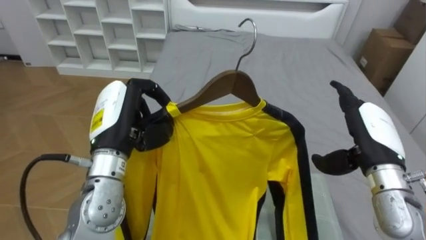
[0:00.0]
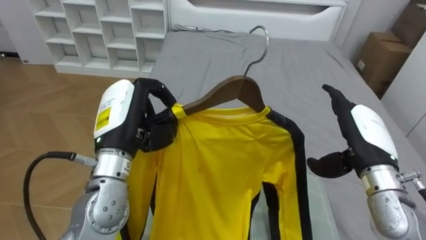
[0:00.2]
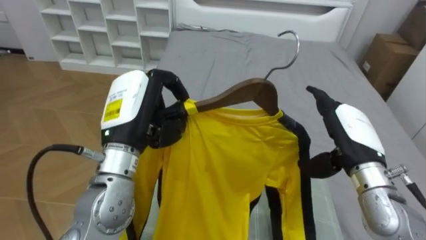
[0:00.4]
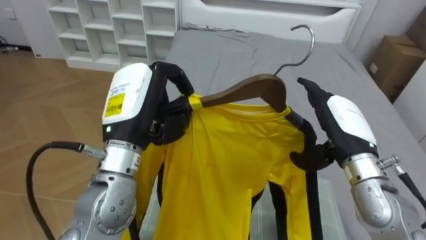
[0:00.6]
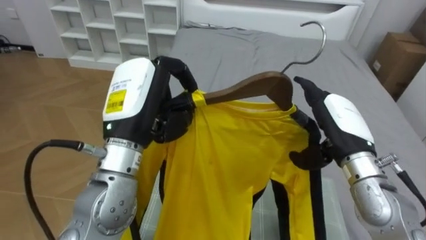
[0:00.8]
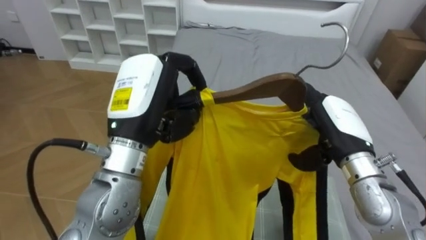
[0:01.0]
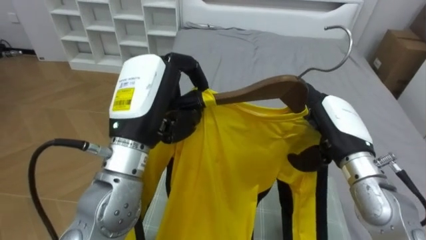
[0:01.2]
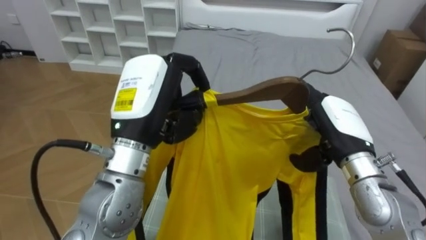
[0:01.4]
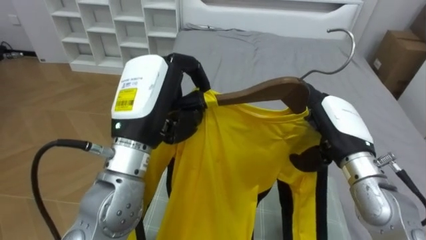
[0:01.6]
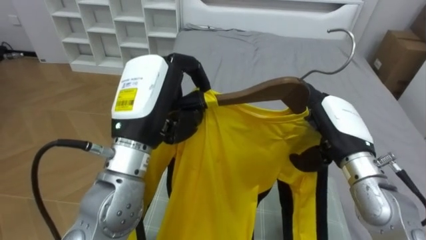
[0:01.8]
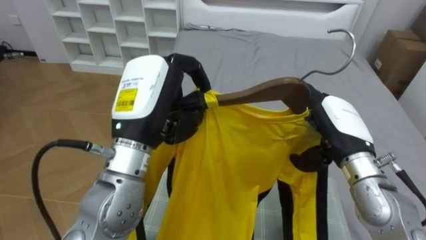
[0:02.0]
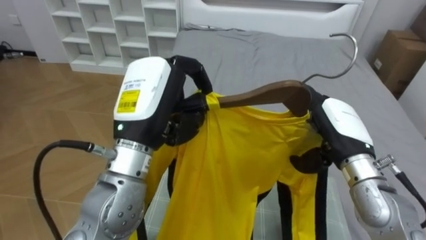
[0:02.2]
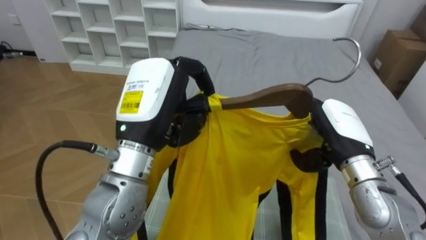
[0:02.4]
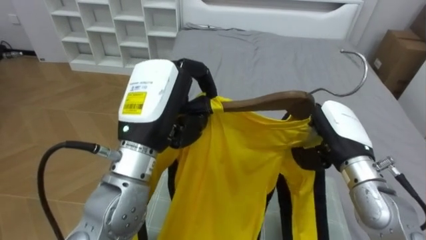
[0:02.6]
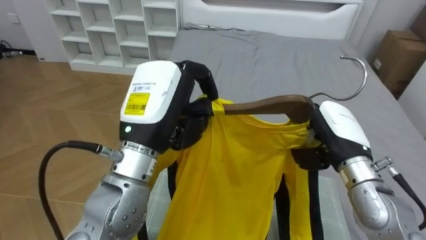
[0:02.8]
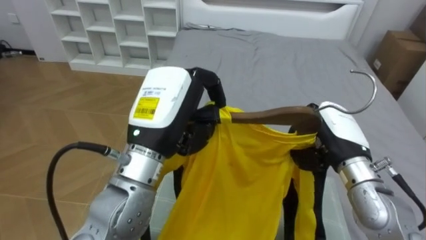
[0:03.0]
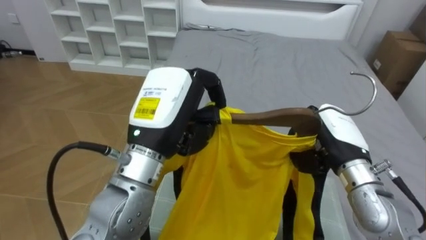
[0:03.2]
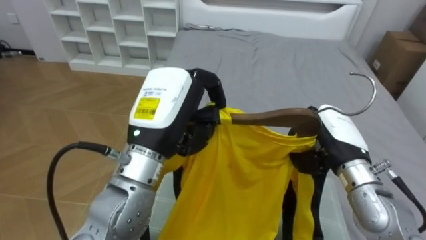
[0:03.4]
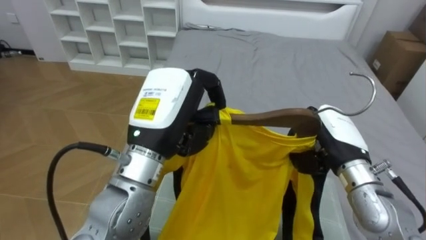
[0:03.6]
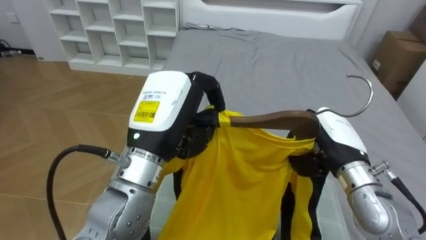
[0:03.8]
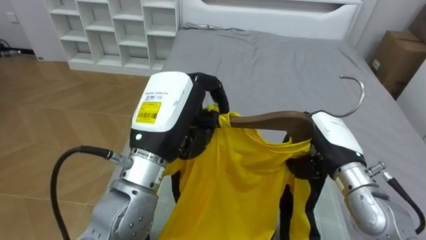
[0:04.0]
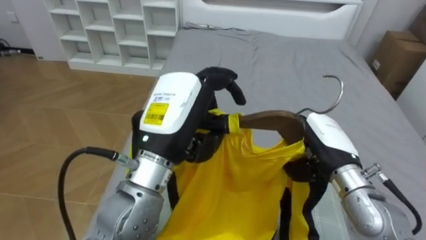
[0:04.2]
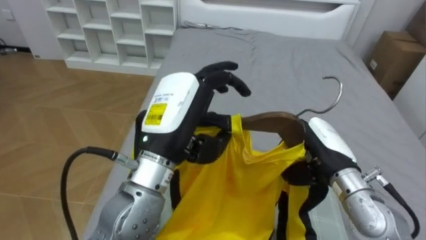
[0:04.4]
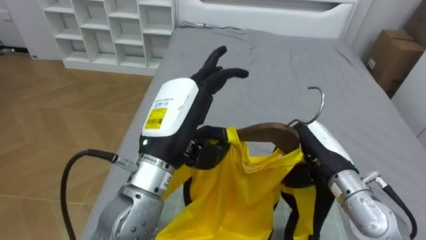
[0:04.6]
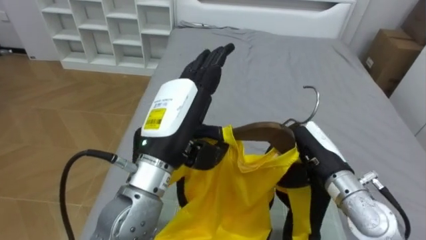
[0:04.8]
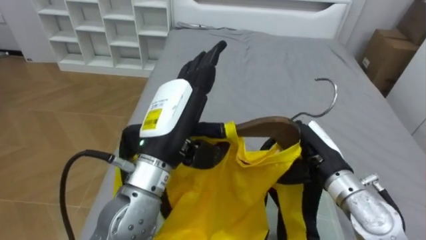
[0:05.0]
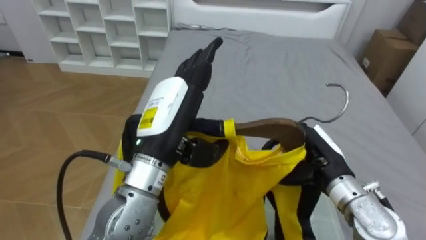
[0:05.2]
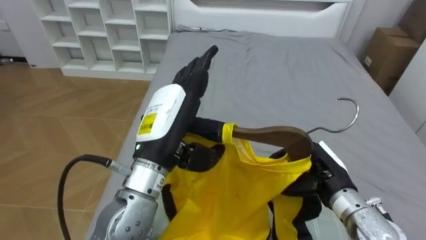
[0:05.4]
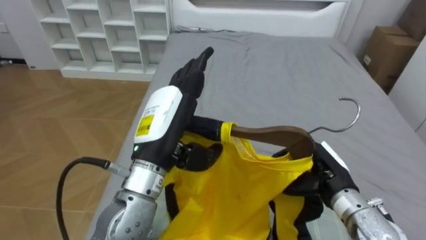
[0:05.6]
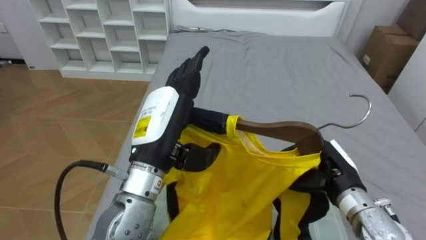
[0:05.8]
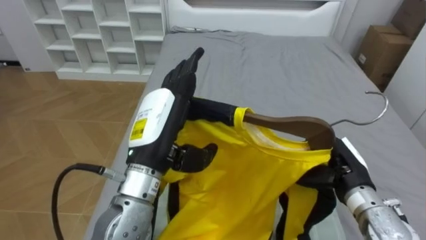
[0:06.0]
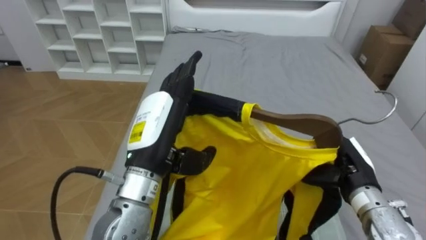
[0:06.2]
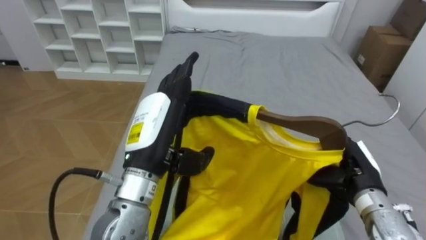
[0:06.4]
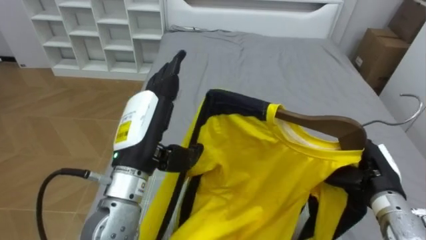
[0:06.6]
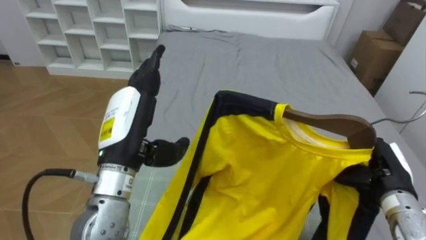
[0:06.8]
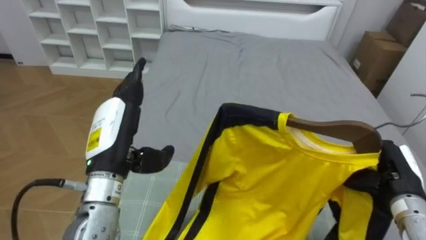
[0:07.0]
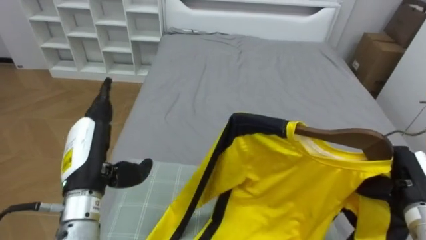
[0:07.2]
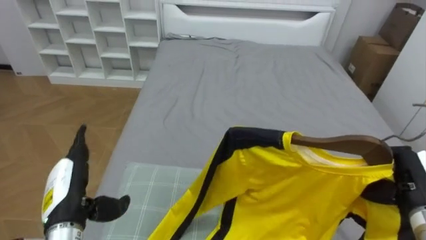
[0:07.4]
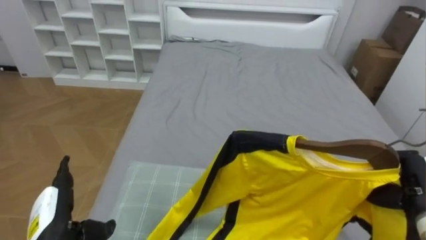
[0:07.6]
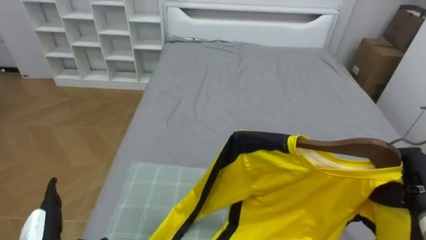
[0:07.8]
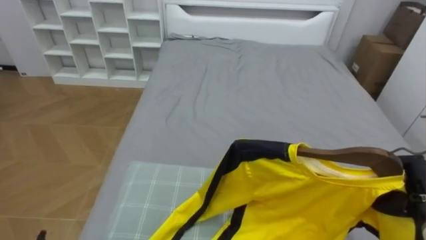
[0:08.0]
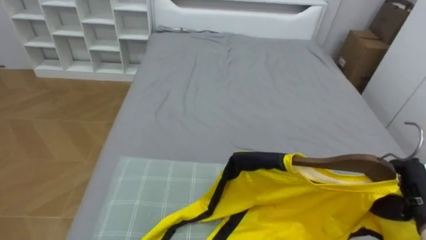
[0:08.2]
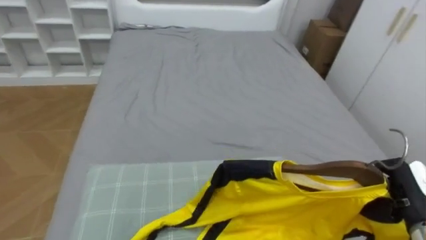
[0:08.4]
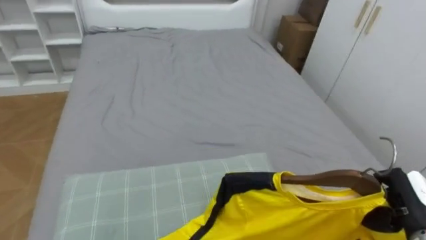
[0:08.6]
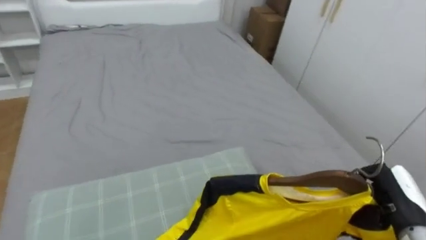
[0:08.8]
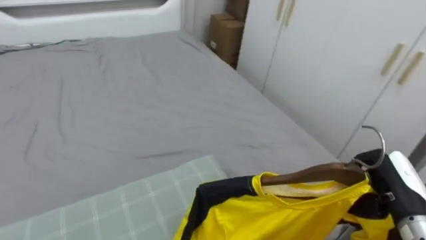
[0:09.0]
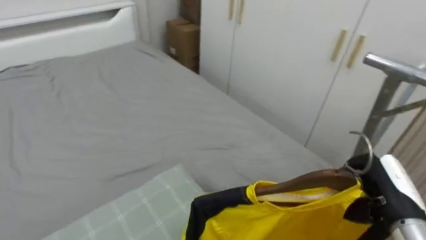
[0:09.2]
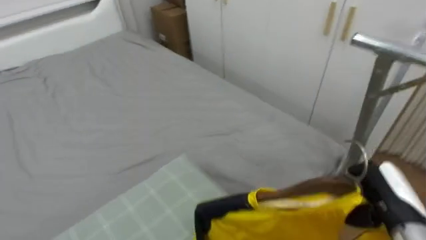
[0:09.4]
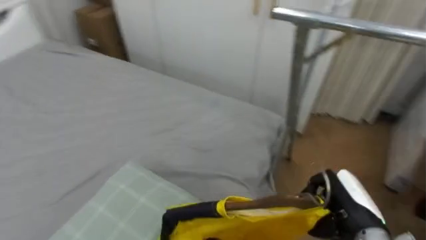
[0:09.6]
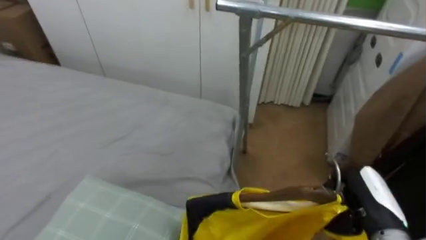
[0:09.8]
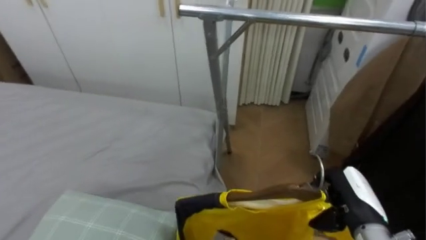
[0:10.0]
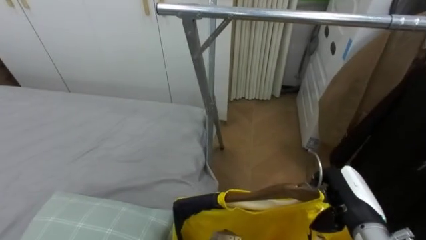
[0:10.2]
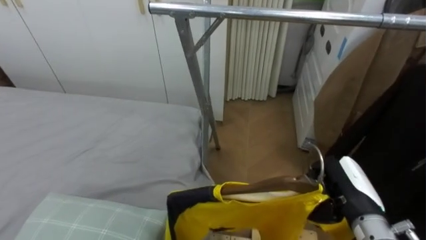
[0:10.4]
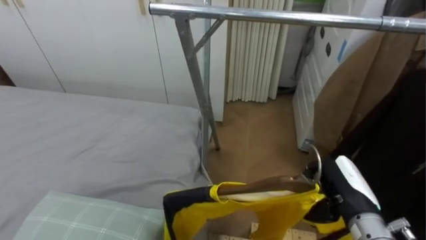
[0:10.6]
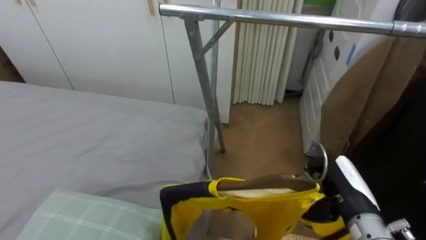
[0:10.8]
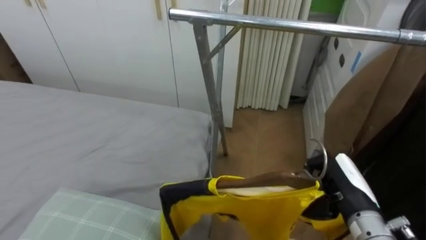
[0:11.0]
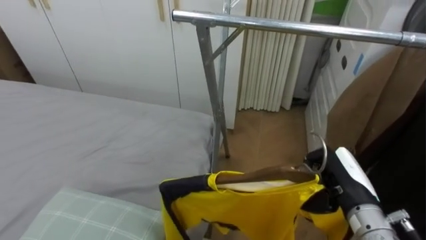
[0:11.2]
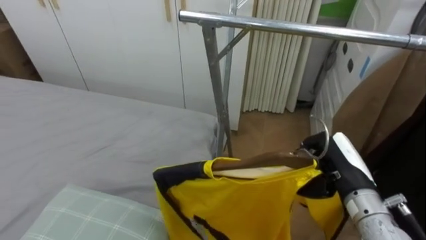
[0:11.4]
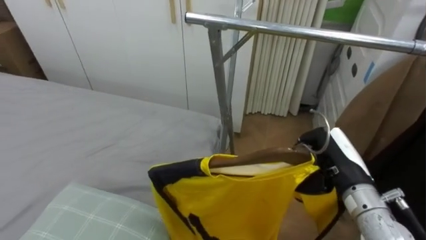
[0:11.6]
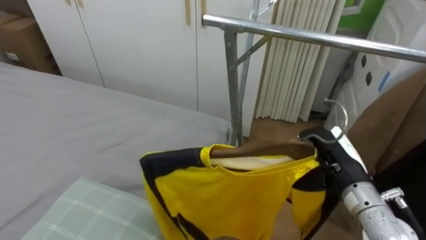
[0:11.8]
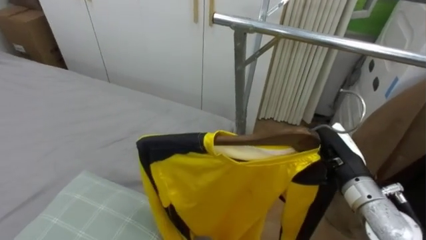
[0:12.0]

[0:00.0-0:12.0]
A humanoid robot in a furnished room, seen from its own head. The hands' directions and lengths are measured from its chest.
Task of the whole recording: Pick up the yellow shirt on the bed and hang it on the clothes rack on the right.
0:00.0 to 0:01.6: The right hand changes place by approximately 5 cm; the left hand moves upward and to the right, approximately 10 cm.
0:01.6 to 0:03.0: The right hand closes.
0:03.0 to 0:04.4: The left hand opens its fingers.
0:04.4 to 0:06.0: The left hand opens its fingers. Meanwhile the right hand moves about 5 cm.
0:06.0 to 0:07.6: The left hand is displaced to the left and downward by some 25 cm. The right hand is displaced to the right by roughly 10 cm.
0:07.6 to 0:09.0: The robot rotates roughly 35 degrees to its right.
0:09.0 to 0:10.4: The robot rotates roughly 55 degrees to its right. The right hand moves to the left, roughly 5 cm.
0:10.4 to 0:12.0: The right hand changes place by approximately 5 cm.

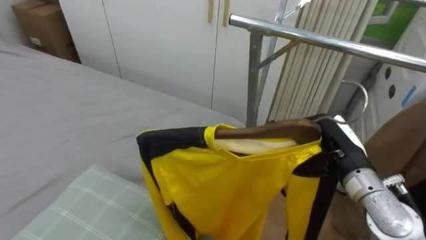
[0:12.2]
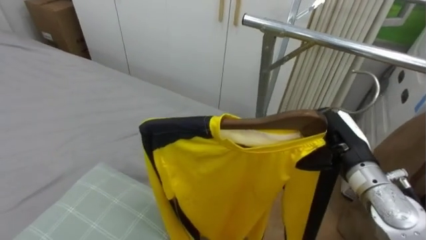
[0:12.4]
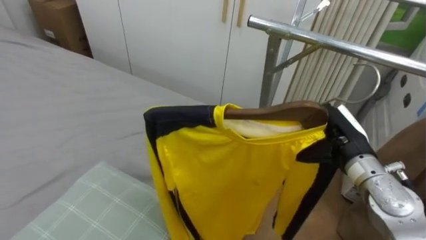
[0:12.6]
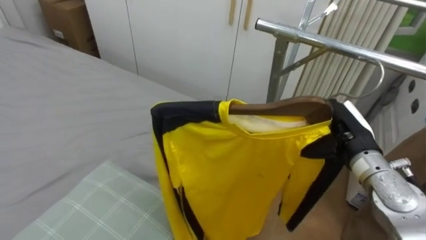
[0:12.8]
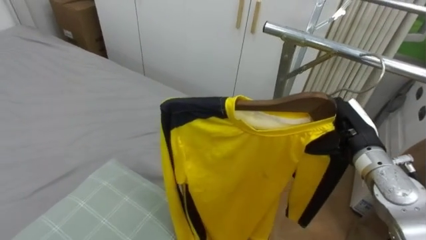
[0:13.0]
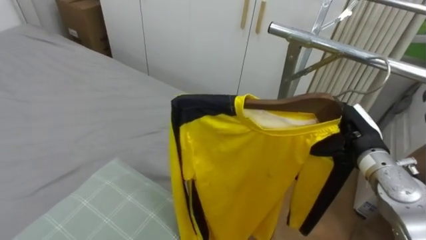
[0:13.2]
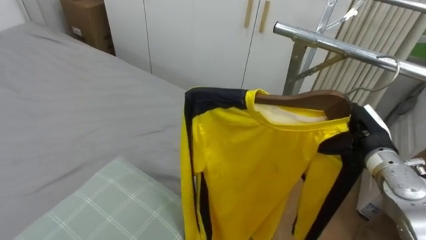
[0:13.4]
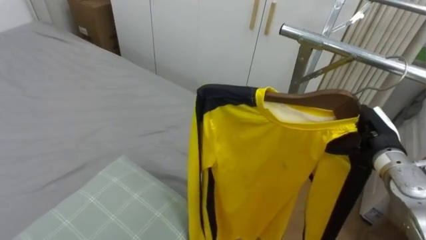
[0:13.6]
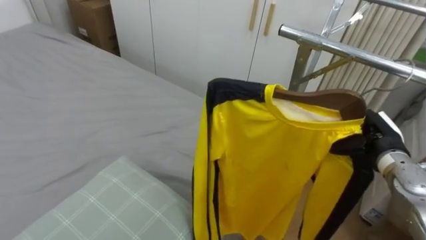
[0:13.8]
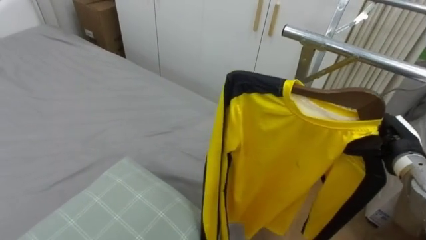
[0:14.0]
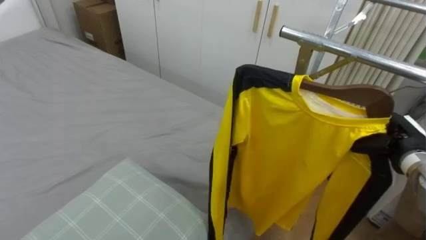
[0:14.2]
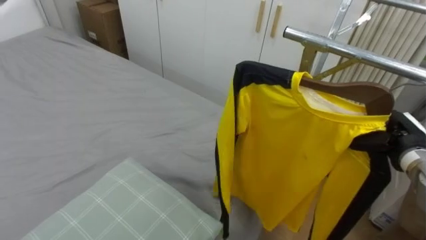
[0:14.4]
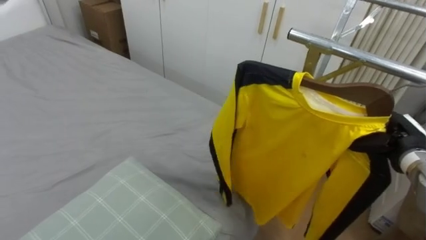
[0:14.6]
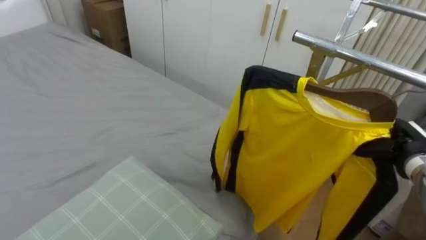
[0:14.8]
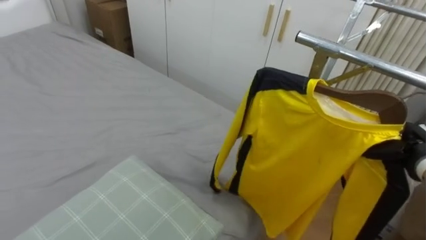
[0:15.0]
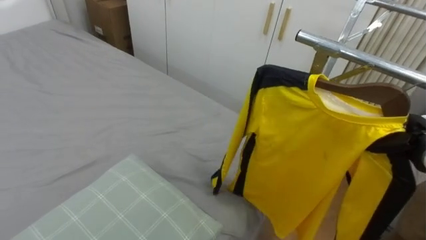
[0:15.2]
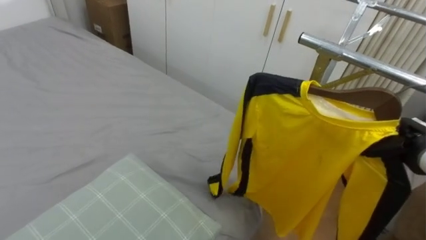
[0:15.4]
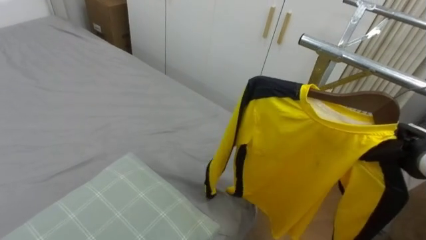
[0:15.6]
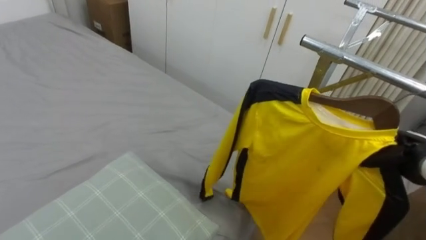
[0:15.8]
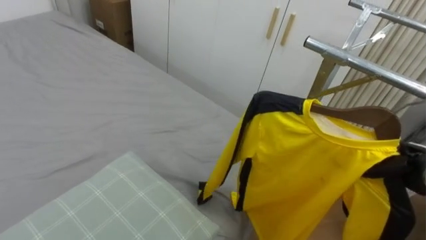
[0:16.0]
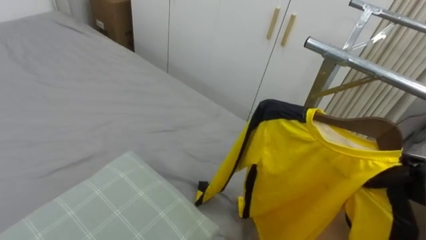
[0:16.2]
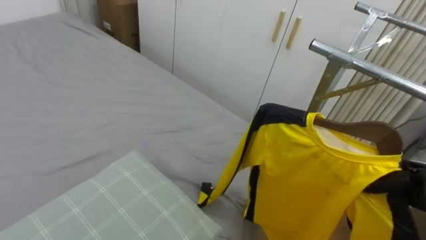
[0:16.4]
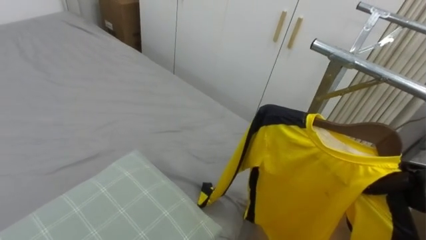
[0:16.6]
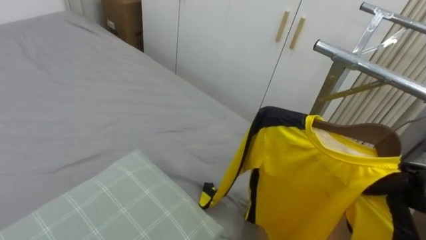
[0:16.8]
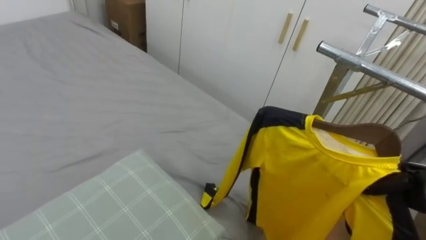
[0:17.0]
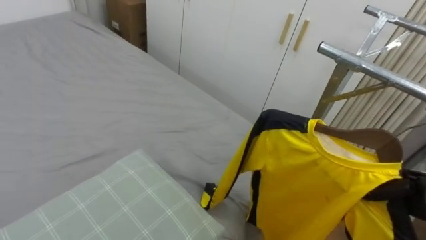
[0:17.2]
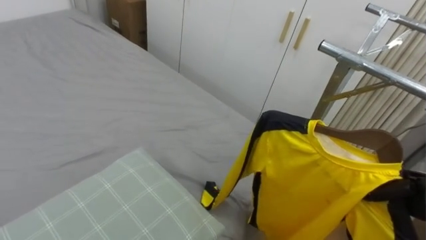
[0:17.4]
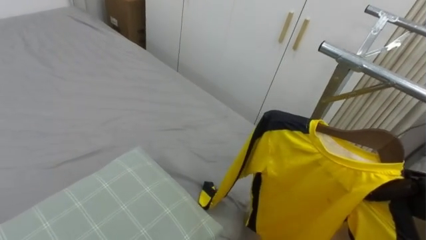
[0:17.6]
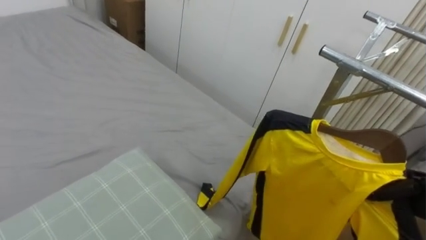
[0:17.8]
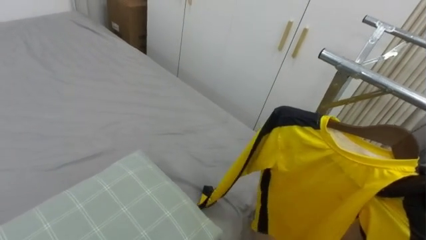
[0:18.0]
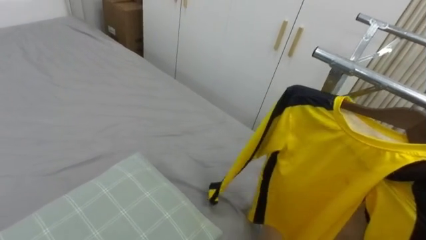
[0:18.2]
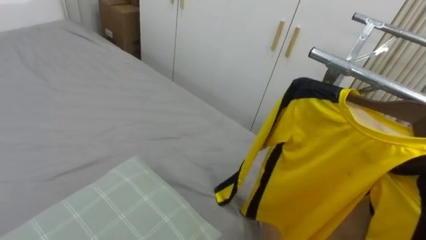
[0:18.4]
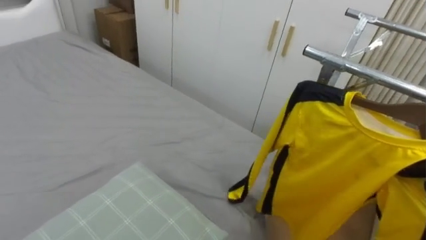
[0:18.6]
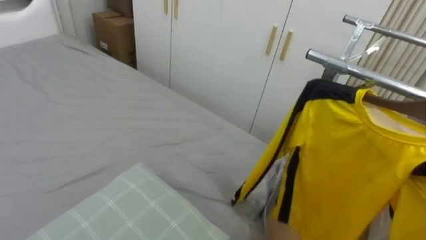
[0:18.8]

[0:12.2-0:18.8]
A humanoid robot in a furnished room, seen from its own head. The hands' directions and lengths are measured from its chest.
Task of the whole recording: Pick up the yellow shirt on the bed and hang it on the clothes rack on the right.
0:12.2 to 0:13.8: The right hand heads to the right, covering roughly 10 cm.
0:13.8 to 0:15.4: The right hand goes roughly 5 cm to the right.
0:15.4 to 0:17.2: The right hand is displaced downward and backward by approximately 10 cm.
